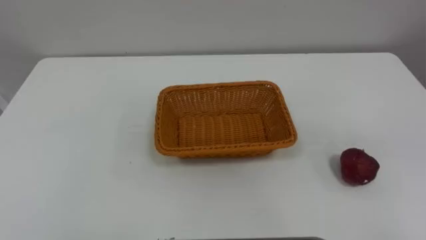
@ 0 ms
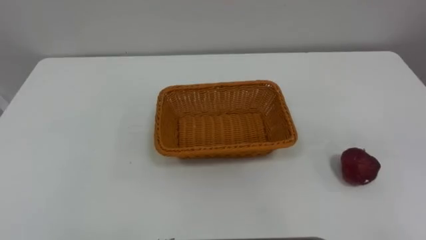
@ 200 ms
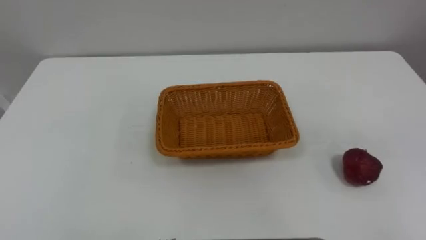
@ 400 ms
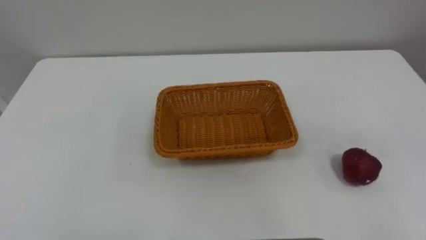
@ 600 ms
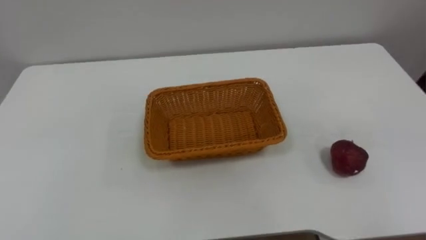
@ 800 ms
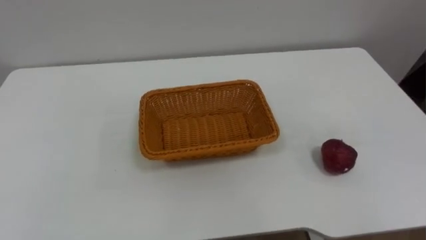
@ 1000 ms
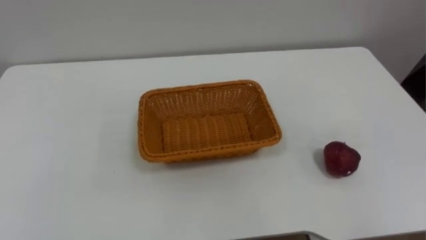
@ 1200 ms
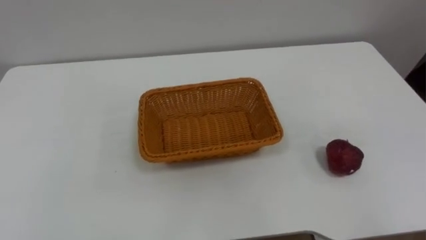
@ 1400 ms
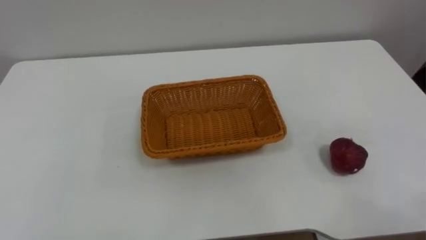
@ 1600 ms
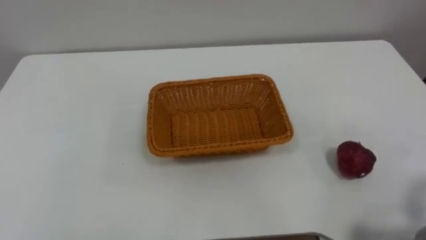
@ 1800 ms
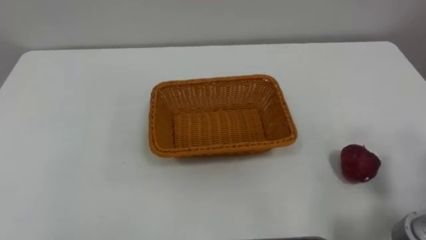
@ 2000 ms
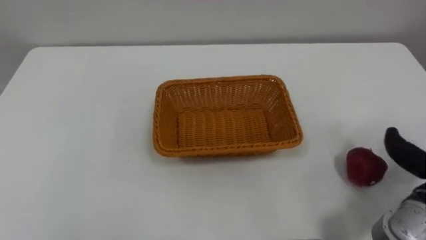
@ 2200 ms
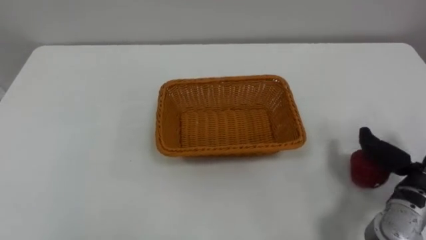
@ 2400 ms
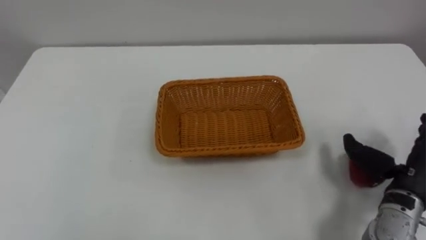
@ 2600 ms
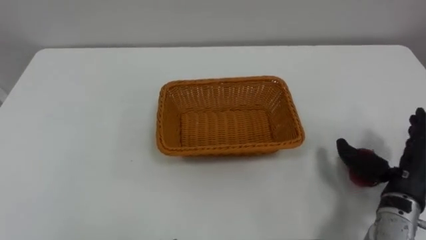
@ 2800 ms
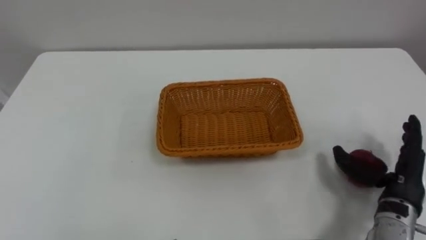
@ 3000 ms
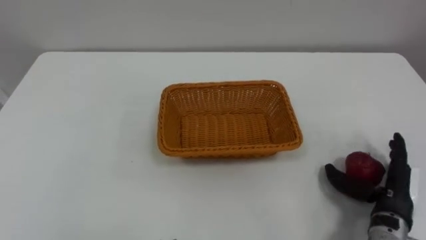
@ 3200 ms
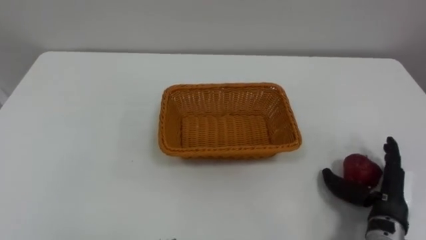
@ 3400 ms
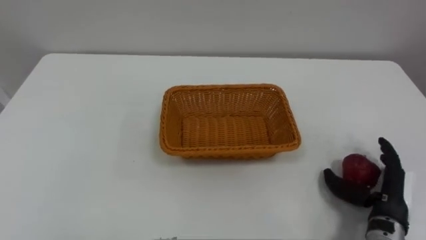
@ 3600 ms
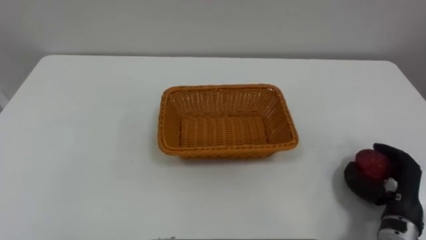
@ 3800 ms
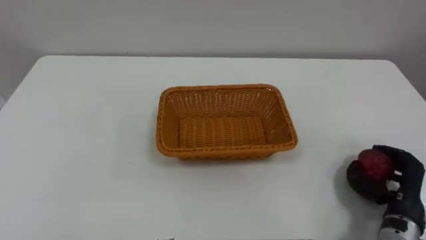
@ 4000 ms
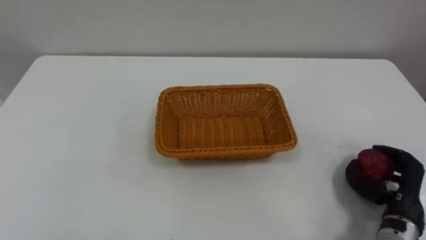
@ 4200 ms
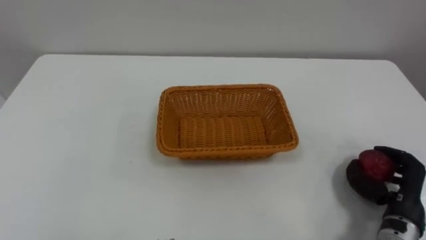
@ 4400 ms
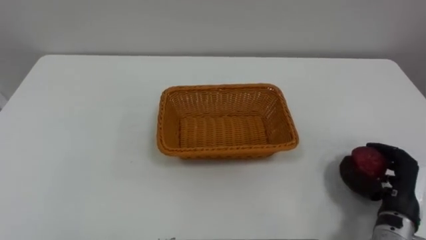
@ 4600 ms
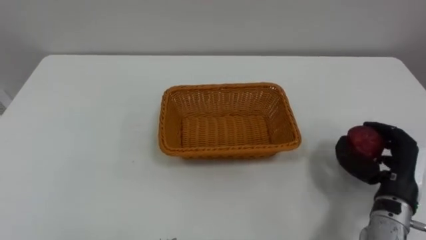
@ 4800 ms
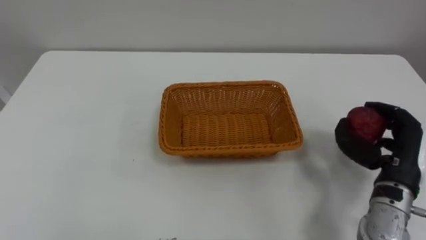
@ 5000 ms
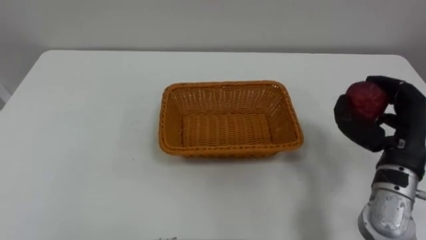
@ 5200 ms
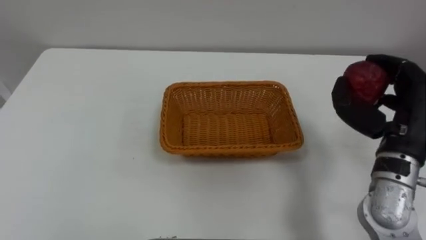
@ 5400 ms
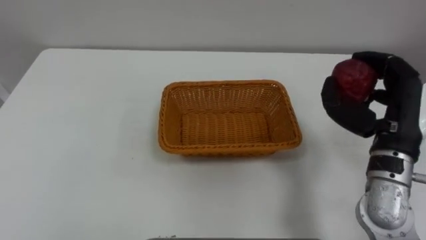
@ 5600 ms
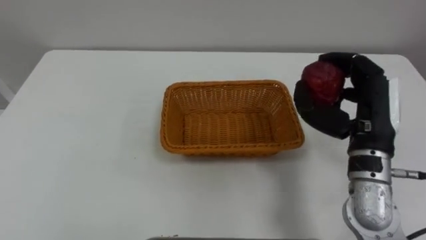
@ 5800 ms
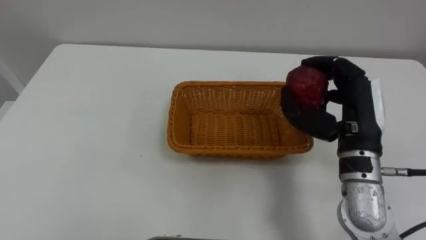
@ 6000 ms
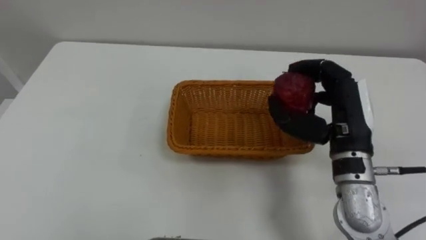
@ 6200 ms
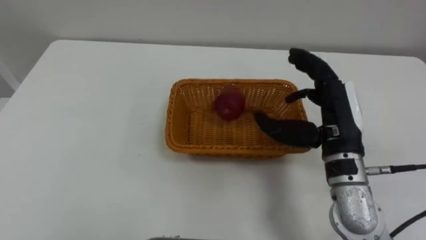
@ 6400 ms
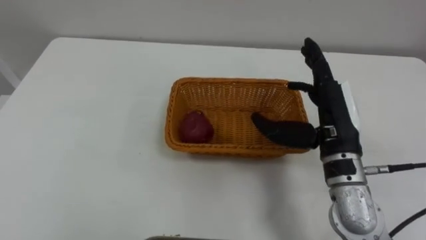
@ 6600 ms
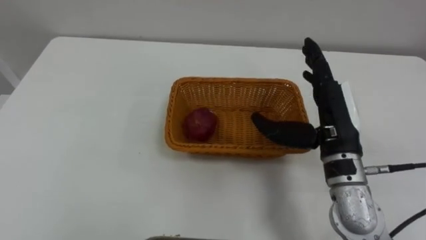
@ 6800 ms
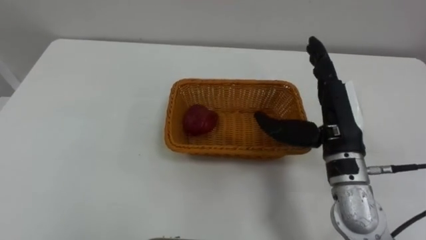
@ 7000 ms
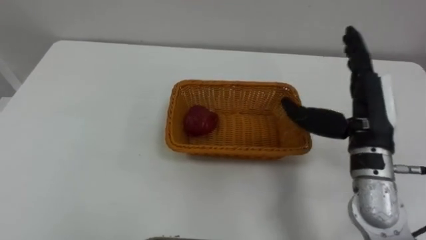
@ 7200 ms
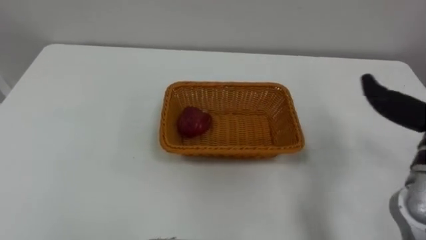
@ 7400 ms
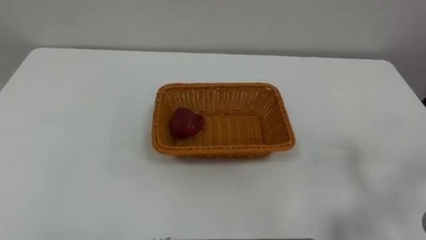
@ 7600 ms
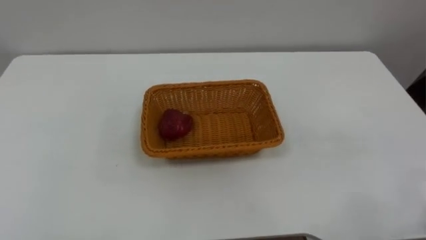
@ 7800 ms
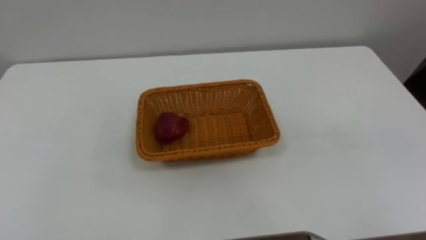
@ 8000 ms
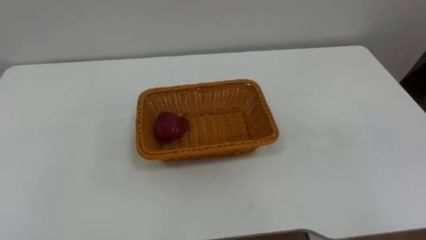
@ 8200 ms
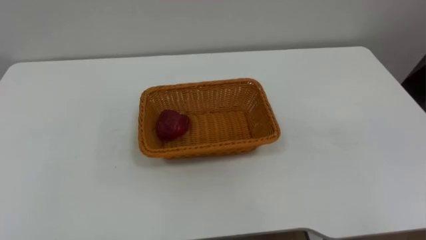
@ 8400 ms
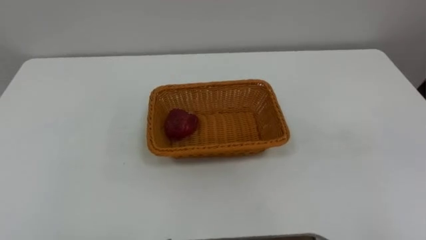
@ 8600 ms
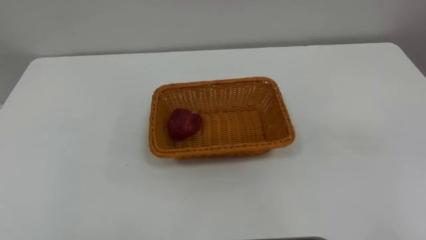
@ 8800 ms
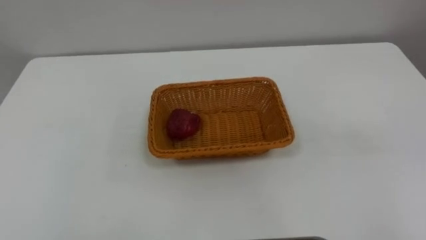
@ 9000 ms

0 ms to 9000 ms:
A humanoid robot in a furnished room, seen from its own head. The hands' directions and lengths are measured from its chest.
Task of the whole recording: Pick the apple and place it in the box.
3000 ms to 4400 ms: The right hand closes.
4400 ms to 6000 ms: The right hand heads upward, to the left and forward, covering roughly 20 cm.

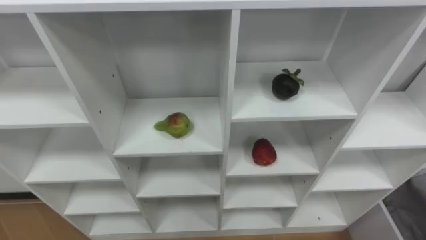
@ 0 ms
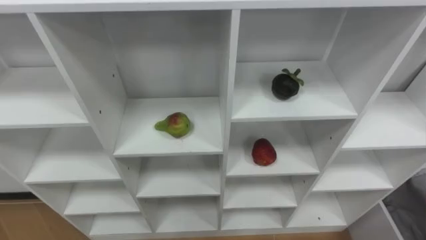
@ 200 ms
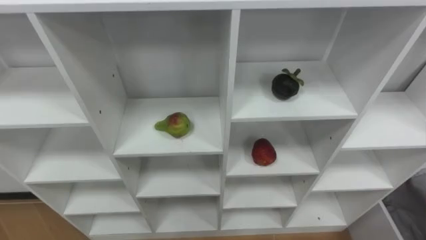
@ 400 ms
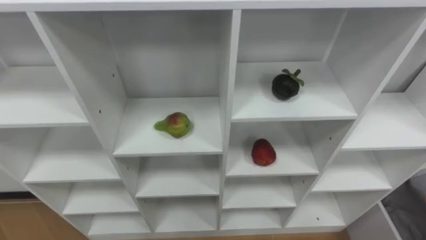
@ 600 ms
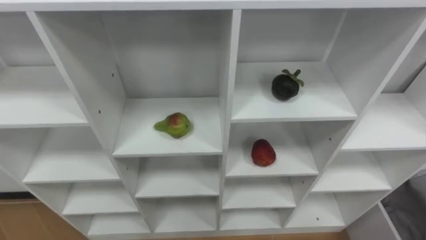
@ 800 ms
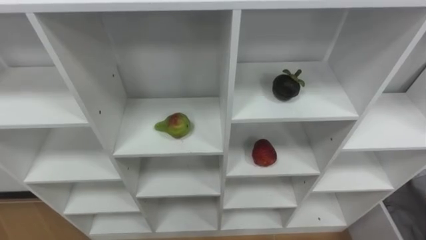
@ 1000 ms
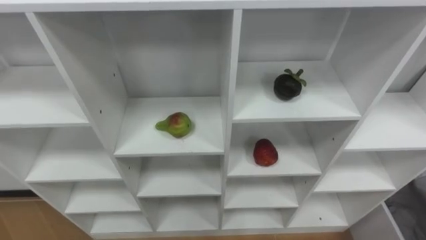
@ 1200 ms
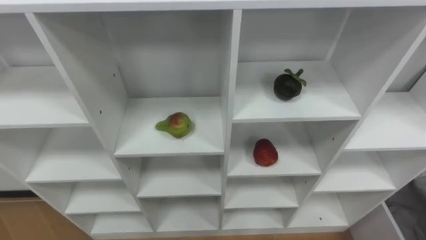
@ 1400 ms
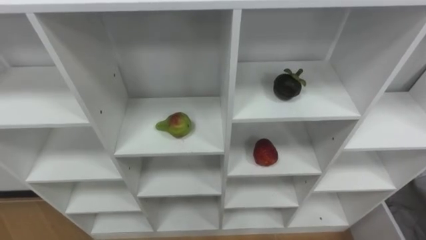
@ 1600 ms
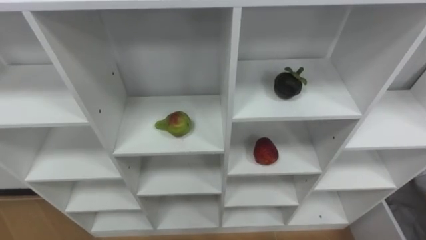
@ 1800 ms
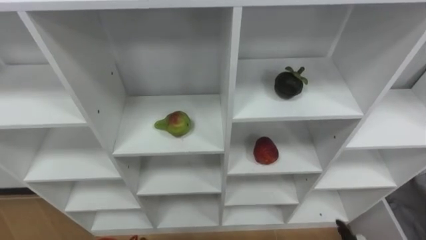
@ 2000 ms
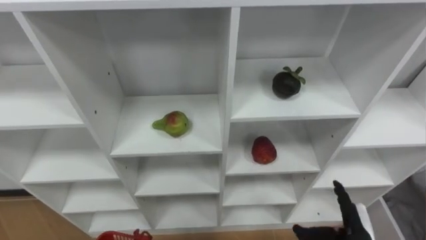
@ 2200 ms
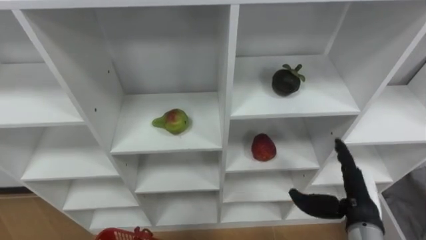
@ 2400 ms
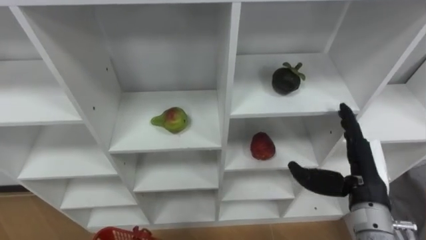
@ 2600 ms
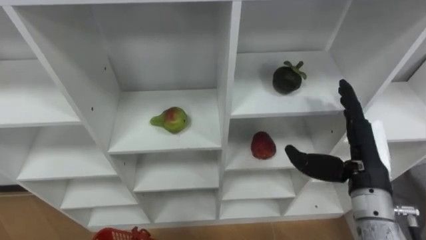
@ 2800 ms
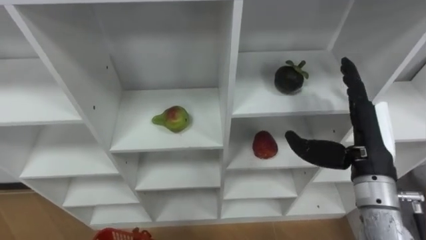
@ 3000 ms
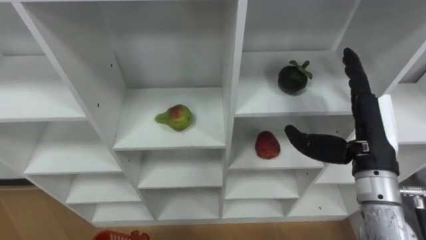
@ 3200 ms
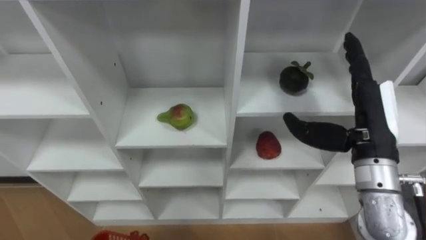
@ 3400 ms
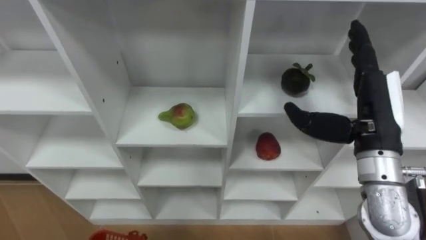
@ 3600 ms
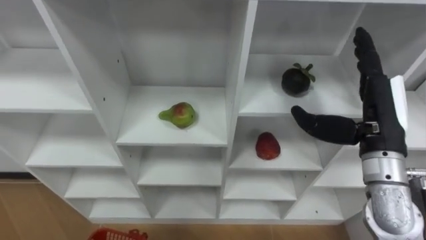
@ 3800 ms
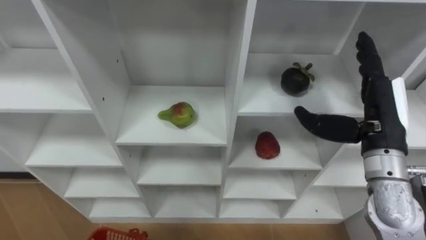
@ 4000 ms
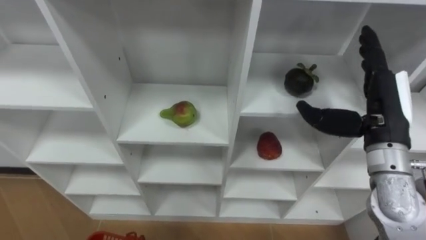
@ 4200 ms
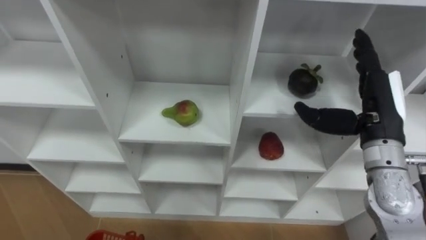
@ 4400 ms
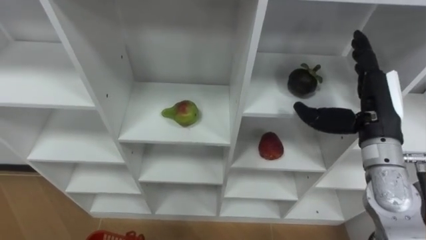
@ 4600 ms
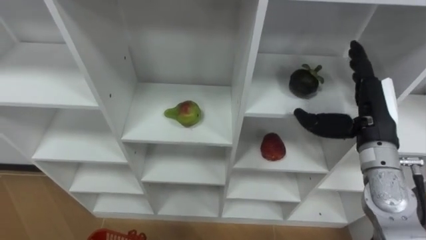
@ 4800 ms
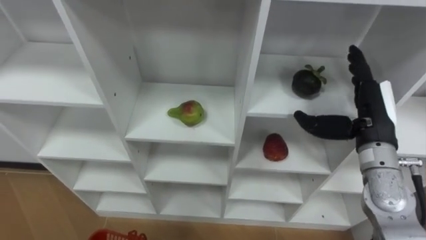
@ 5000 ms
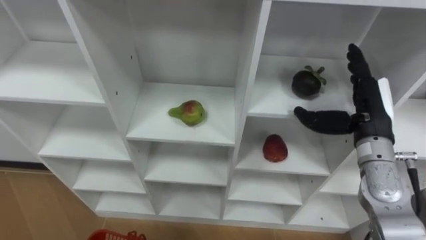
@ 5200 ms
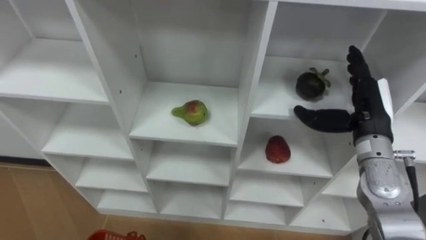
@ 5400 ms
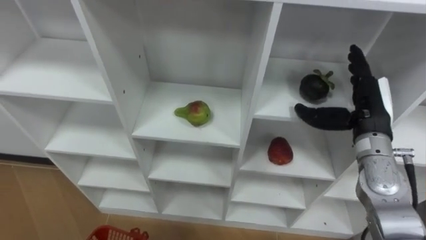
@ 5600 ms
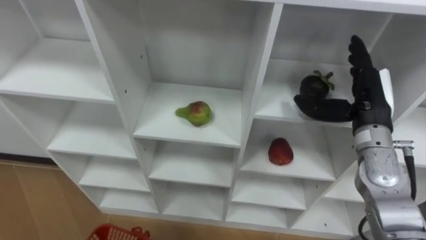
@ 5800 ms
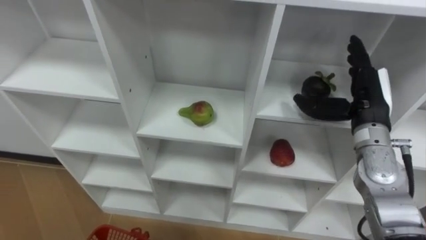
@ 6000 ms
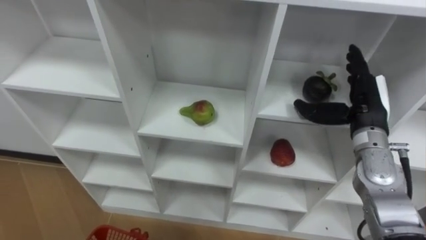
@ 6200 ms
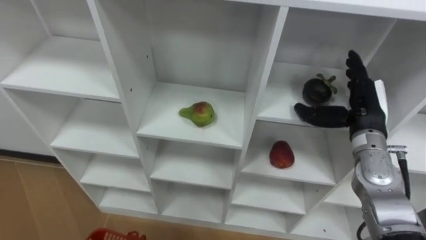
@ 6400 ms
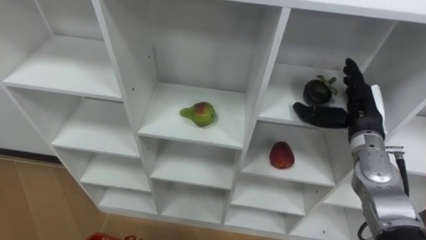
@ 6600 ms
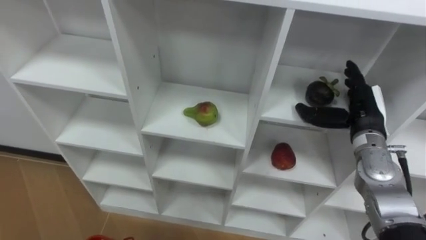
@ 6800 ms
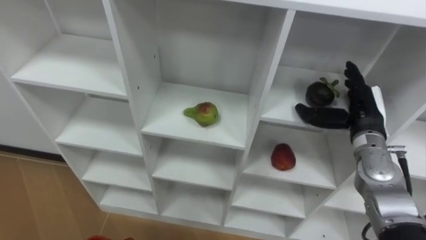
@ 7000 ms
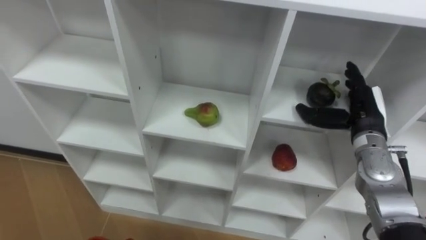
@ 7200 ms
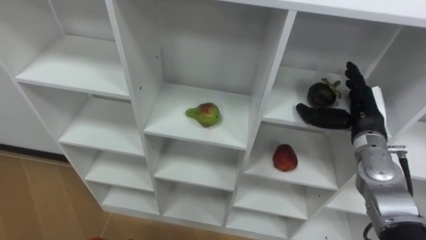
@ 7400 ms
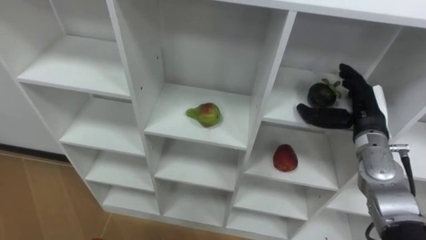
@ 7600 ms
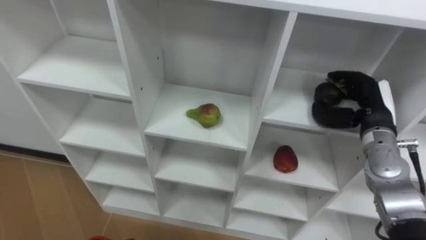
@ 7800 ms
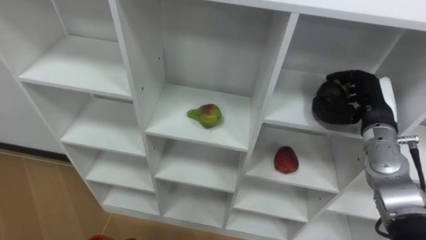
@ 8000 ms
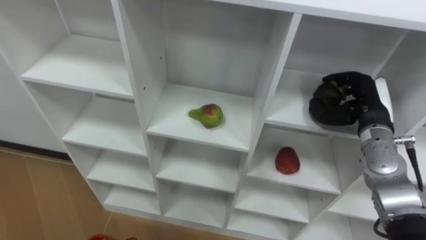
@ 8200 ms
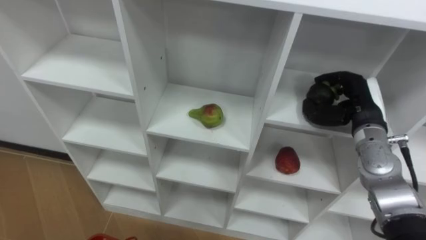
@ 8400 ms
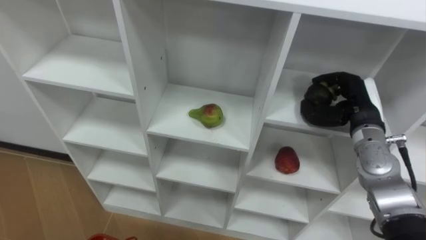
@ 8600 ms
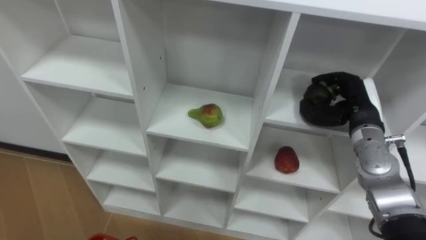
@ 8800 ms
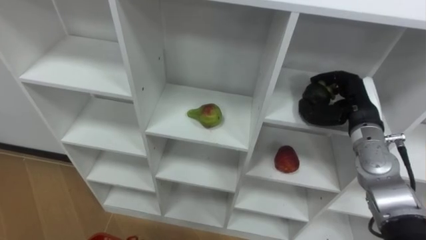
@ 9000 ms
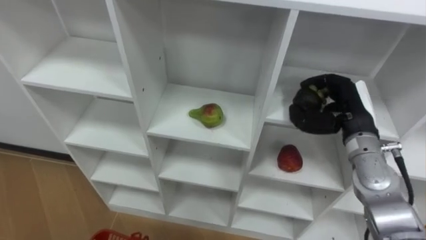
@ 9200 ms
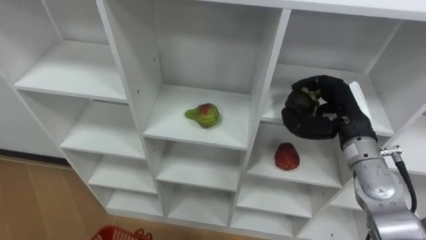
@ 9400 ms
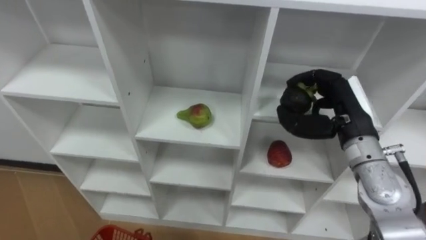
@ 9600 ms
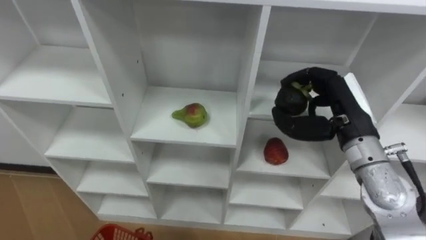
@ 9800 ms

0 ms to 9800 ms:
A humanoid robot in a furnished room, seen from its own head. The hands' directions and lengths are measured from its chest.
Task of the whole recording: Hold the basket and collect the fruits from 3 different cells of the closet into it.
2800 ms to 4200 ms: The right hand heads upward, covering about 5 cm.
4200 ms to 5600 ms: The right hand ends up some 5 cm from where it was.
7000 ms to 8400 ms: The right hand closes up.
8400 ms to 9800 ms: The right hand heads upward and to the left, covering some 10 cm.
